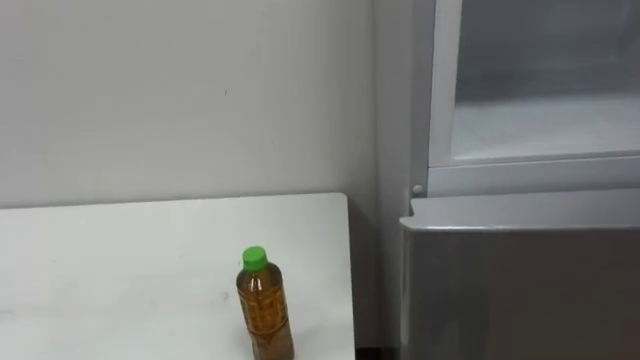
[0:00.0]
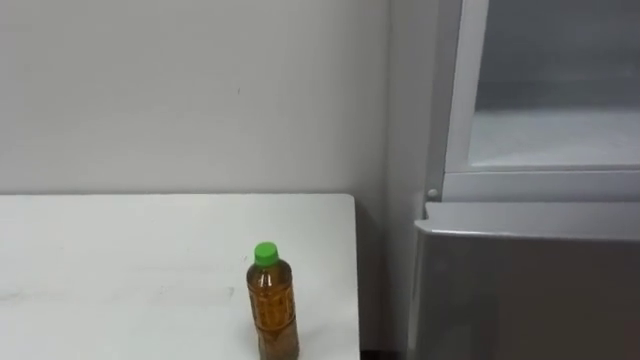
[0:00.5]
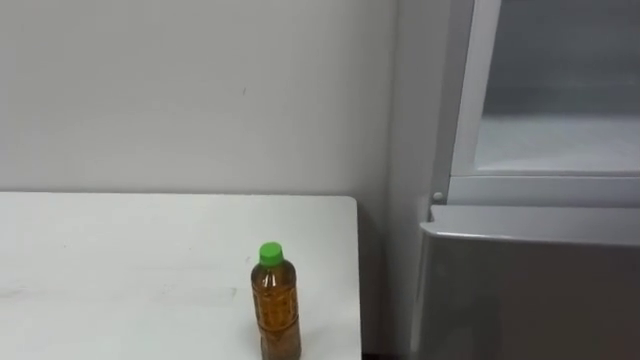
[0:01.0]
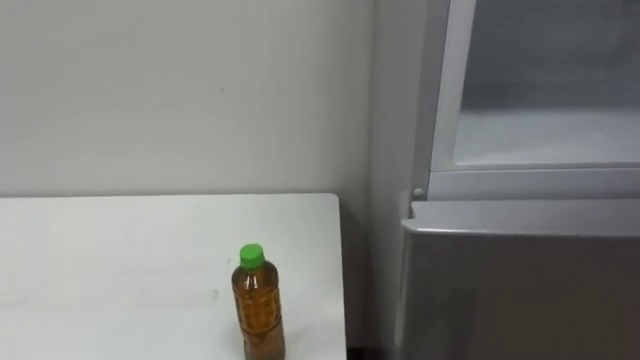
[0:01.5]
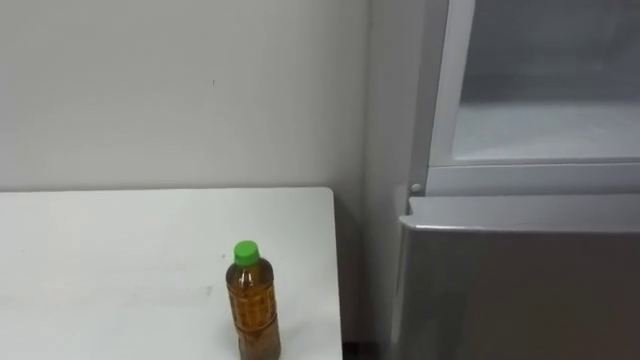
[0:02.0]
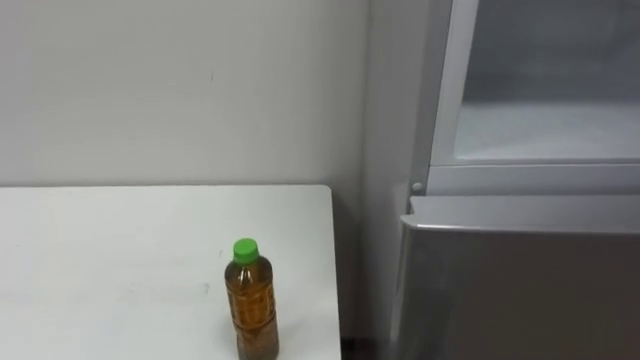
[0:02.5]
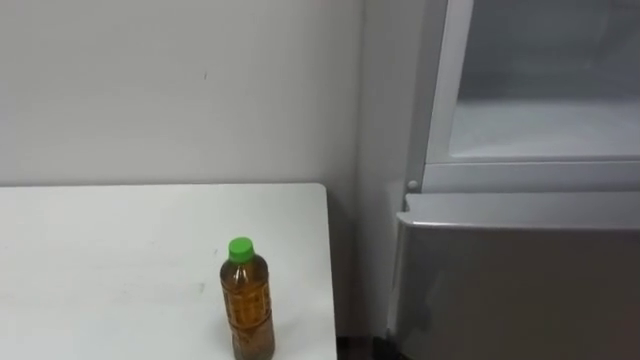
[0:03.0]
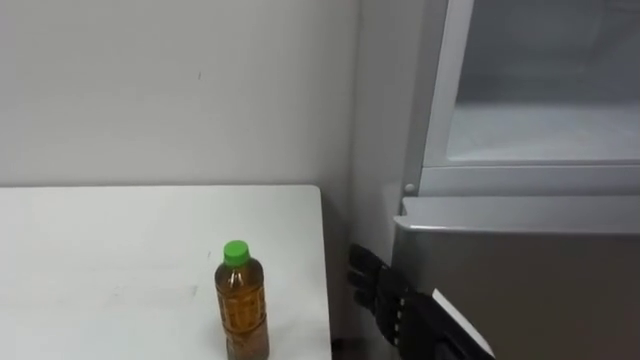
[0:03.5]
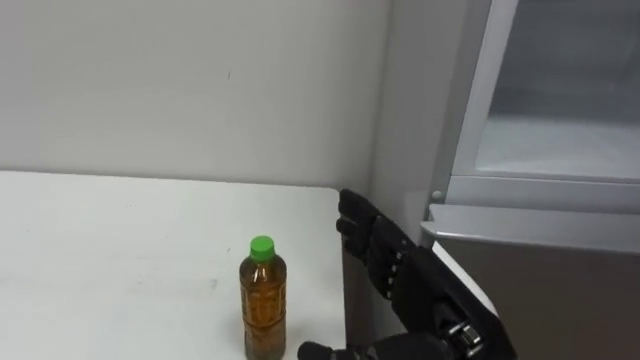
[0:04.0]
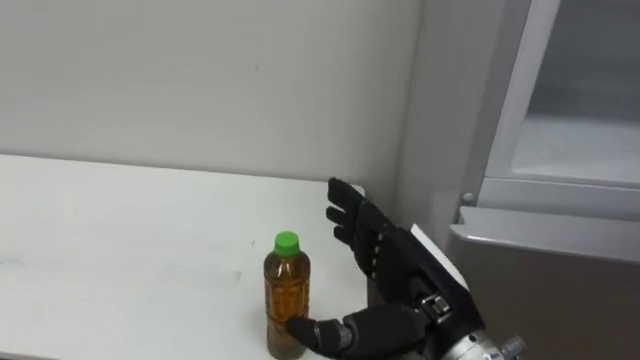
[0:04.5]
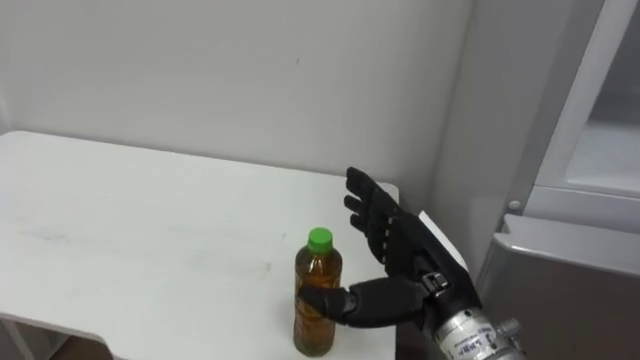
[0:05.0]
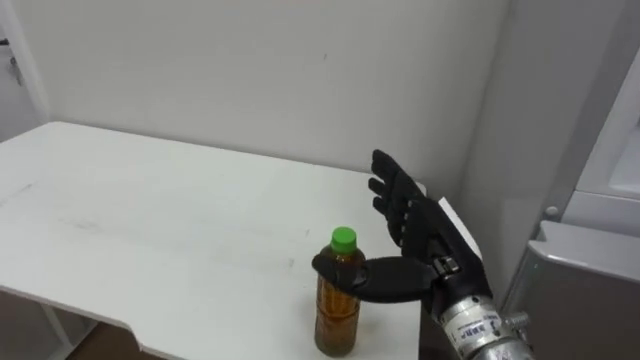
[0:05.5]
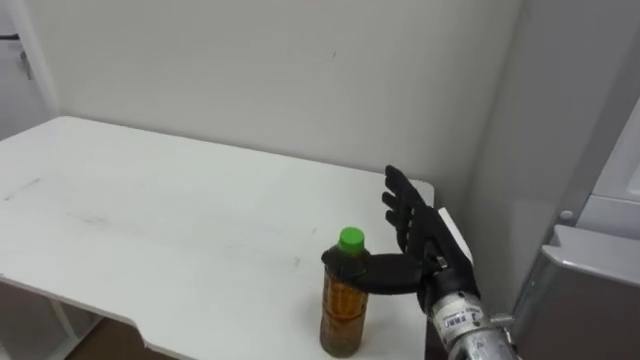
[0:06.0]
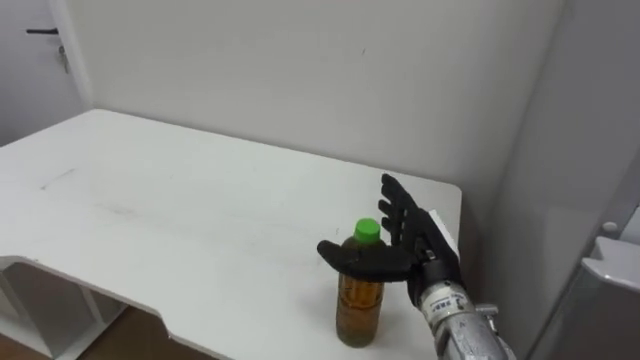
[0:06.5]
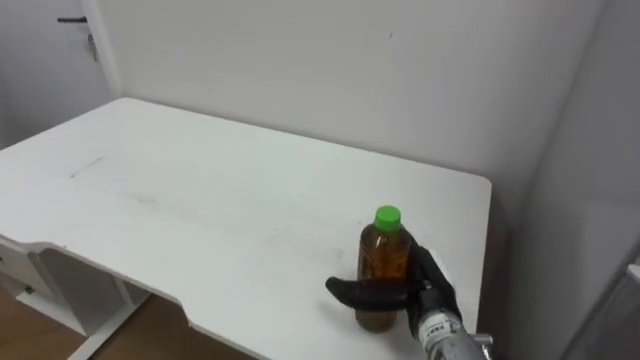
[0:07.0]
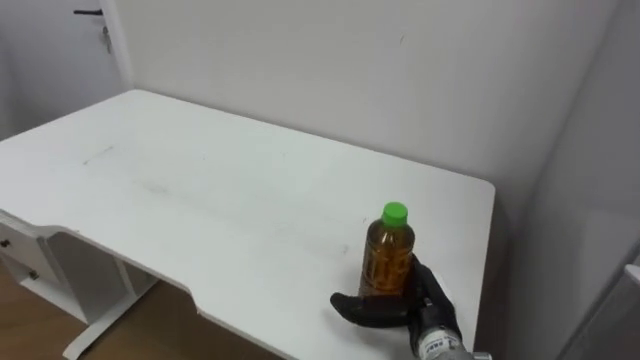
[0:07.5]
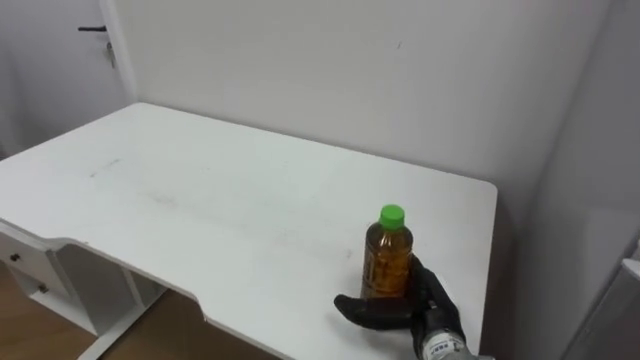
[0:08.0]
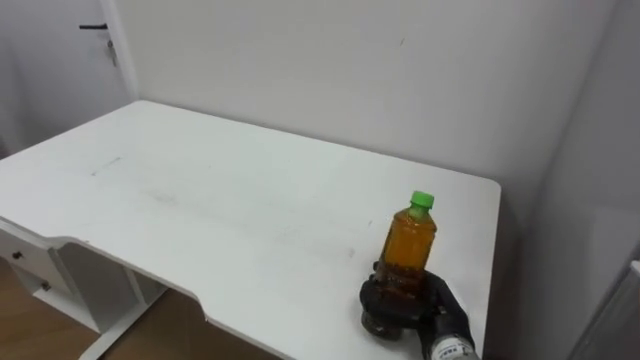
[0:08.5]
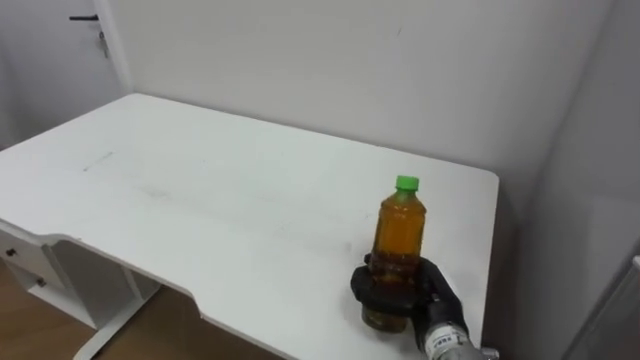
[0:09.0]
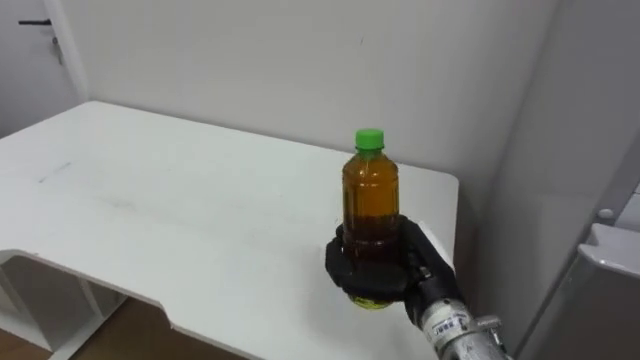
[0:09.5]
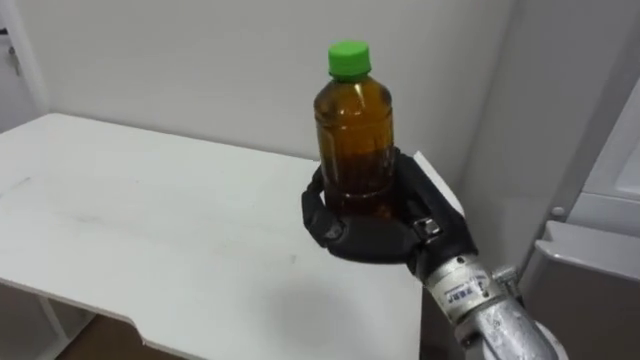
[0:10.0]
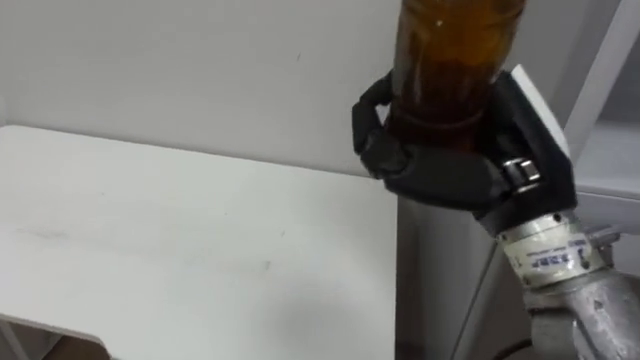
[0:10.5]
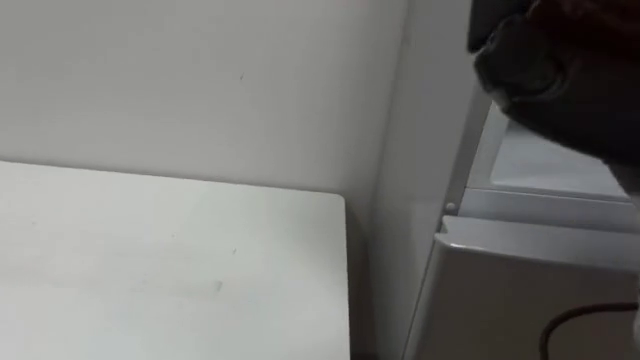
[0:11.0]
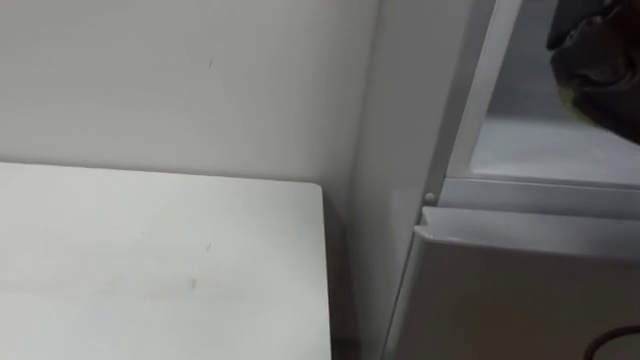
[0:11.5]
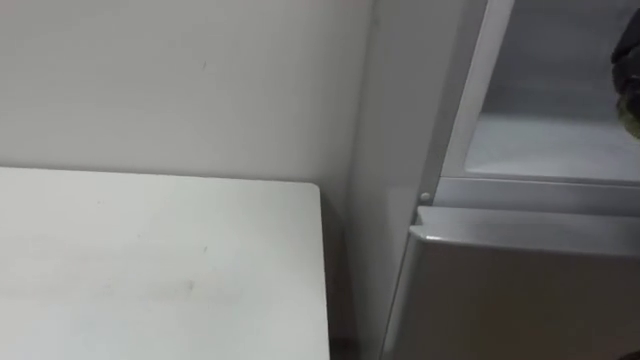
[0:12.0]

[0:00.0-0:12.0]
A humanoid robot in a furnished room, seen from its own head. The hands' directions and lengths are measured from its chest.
Task of the whole recording: Open the upper refrigerator door, put the drink from the table into the refrigerator, and then close the refrigerator door.
0:04.0 to 0:06.0: The right hand moves forward, approximately 10 cm.
0:06.0 to 0:08.0: The right hand moves downward, about 10 cm.
0:08.0 to 0:10.0: The right hand goes approximately 20 cm upward, and closes its fingers.

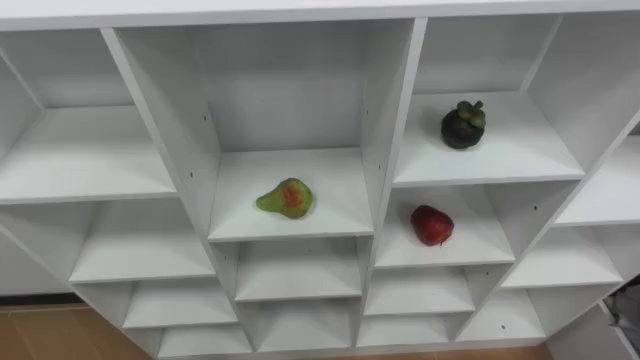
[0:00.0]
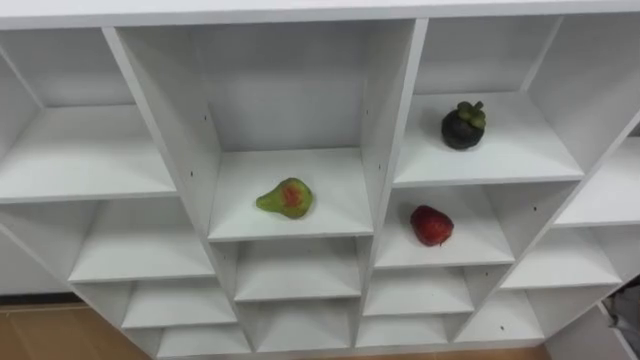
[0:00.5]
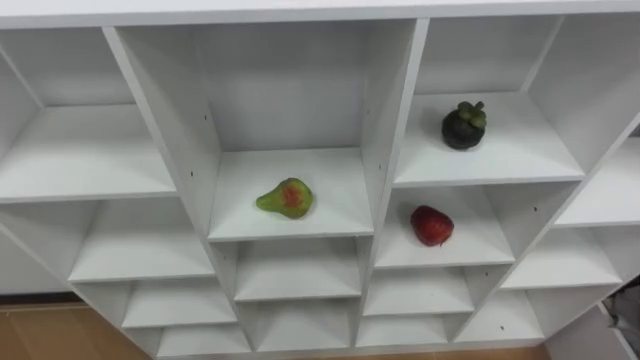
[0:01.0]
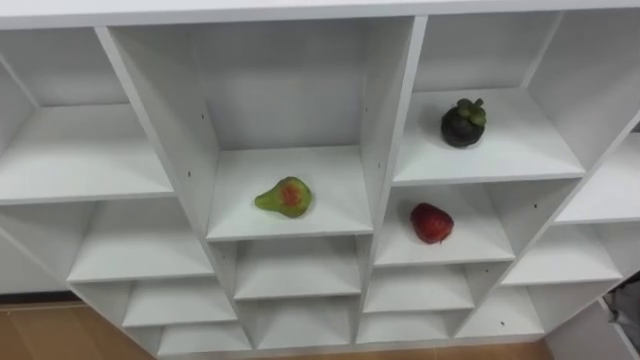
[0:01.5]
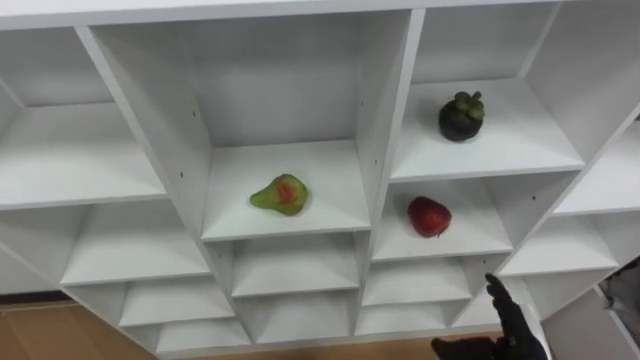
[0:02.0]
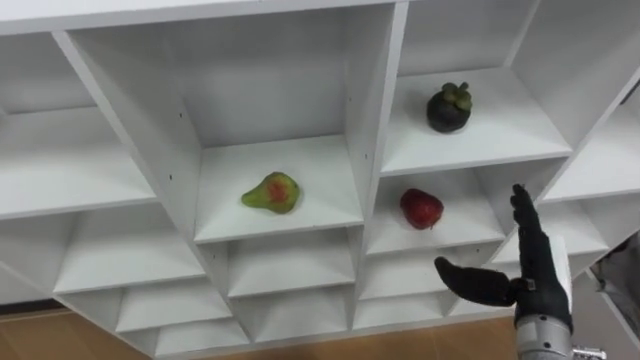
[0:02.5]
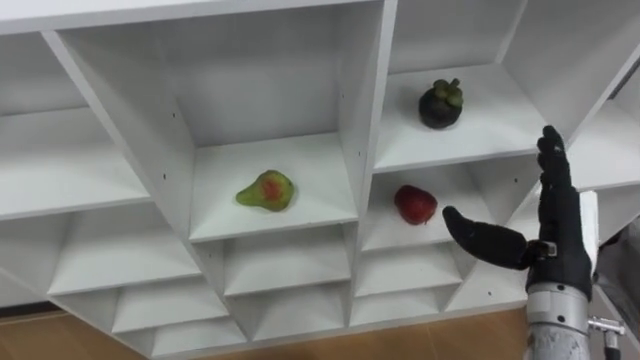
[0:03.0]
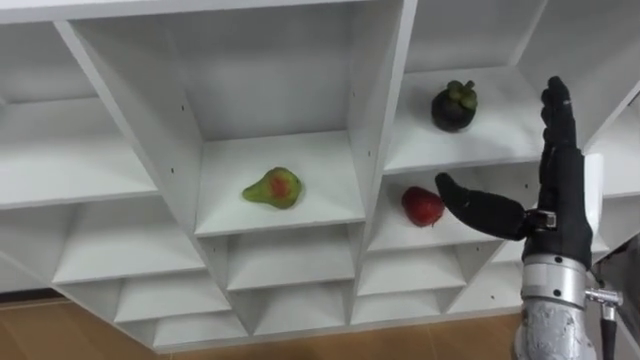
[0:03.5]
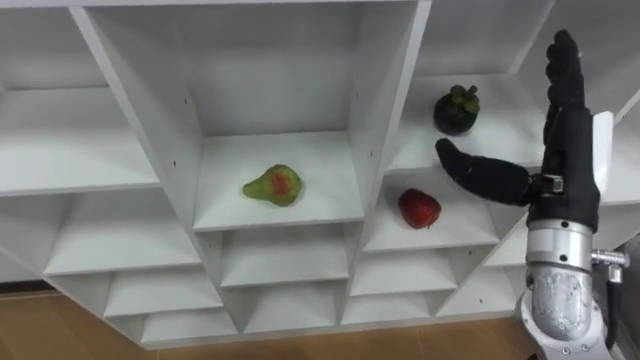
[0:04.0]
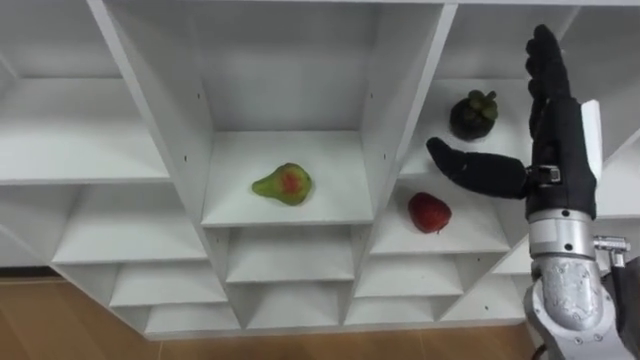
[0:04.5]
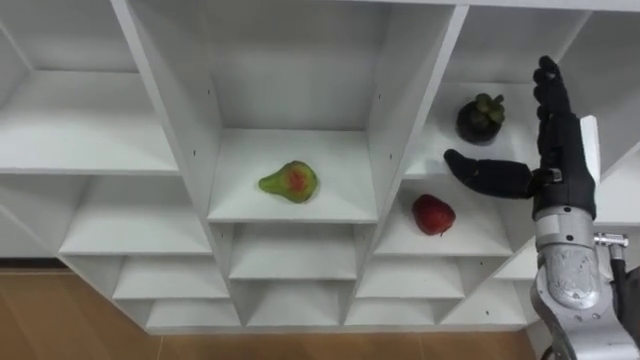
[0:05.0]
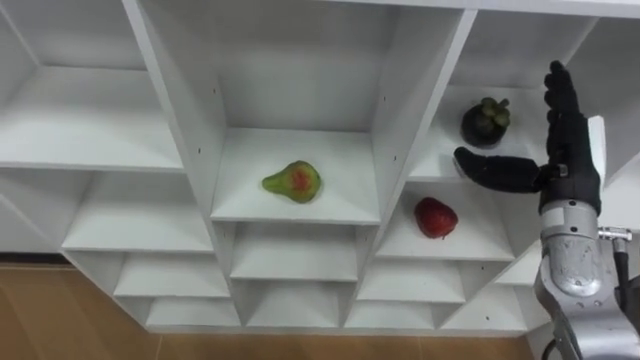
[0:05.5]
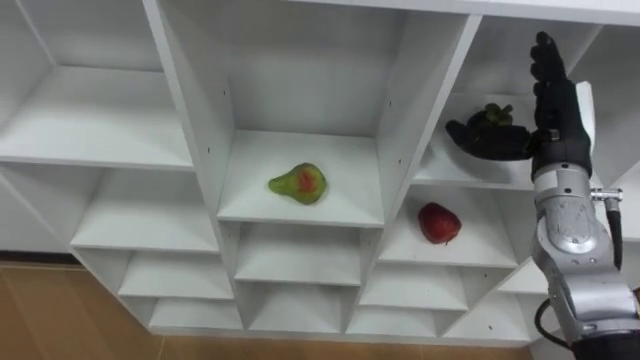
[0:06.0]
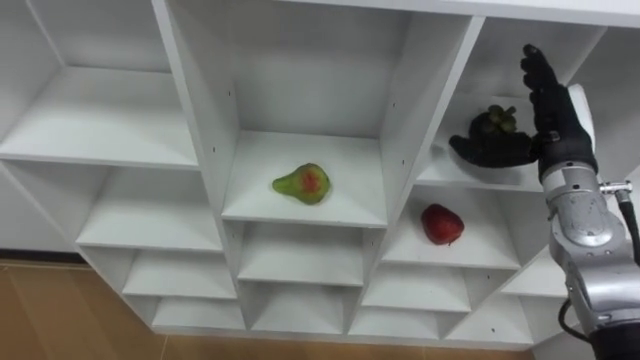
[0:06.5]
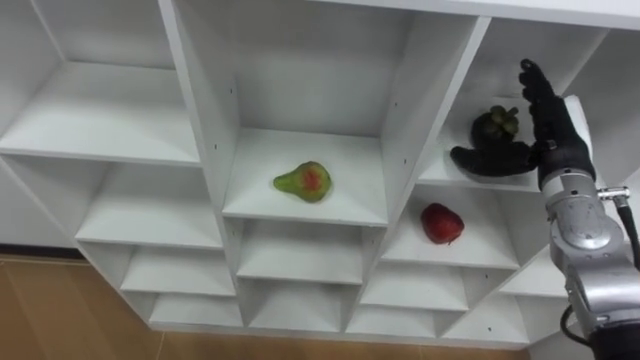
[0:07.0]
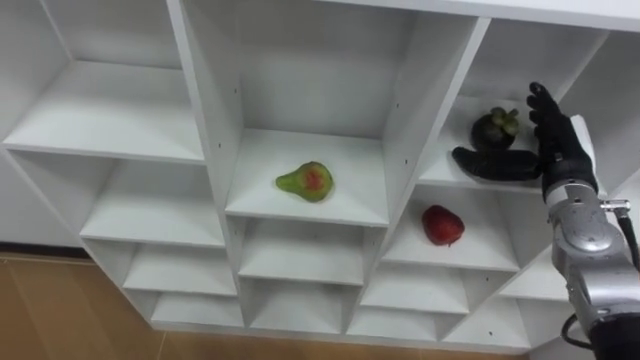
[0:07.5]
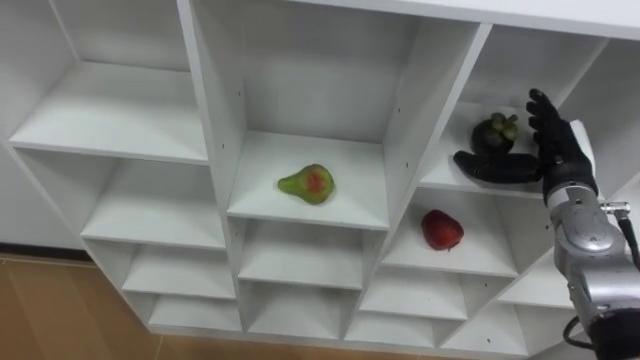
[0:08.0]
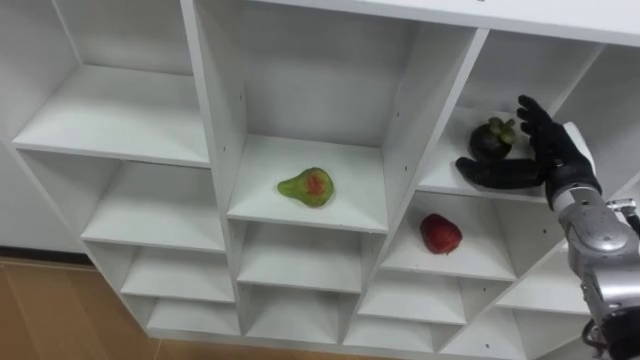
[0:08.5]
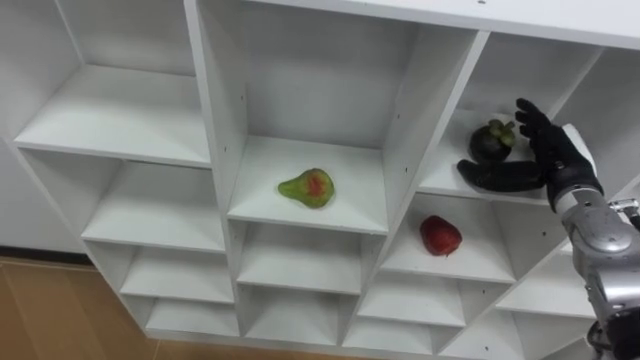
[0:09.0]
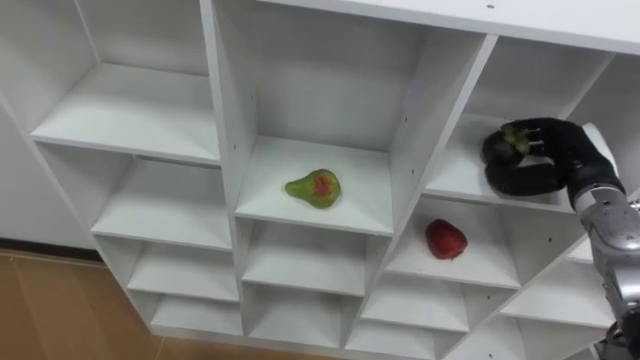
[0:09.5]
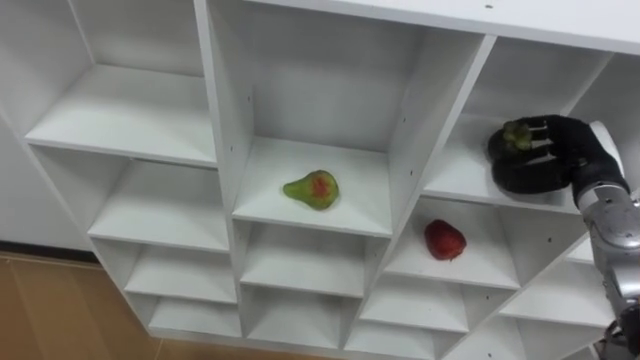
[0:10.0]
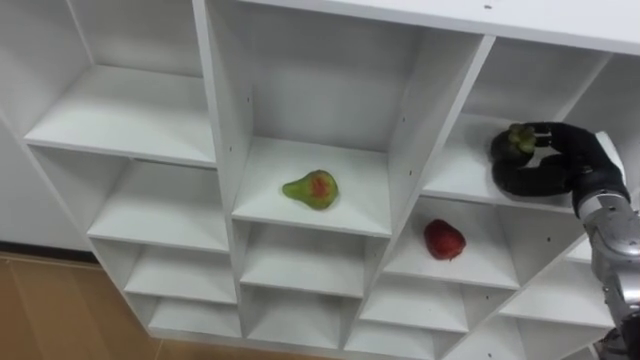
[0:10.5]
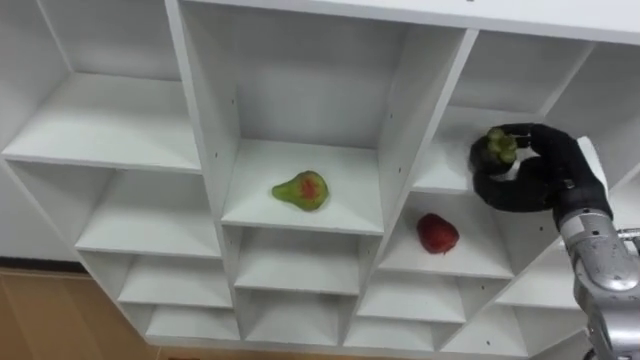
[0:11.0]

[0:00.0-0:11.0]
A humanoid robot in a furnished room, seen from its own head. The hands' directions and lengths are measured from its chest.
Task of the whole recording: Hold the basket and collect the fruits from 3 different cells of the closet into it.
0:02.0 to 0:03.5: The right hand heads upward, covering some 20 cm.
0:03.5 to 0:05.5: The right hand is displaced forward by about 5 cm.
0:05.5 to 0:07.5: The right hand ends up some 5 cm from where it was.
0:09.0 to 0:11.0: The right hand closes up.
